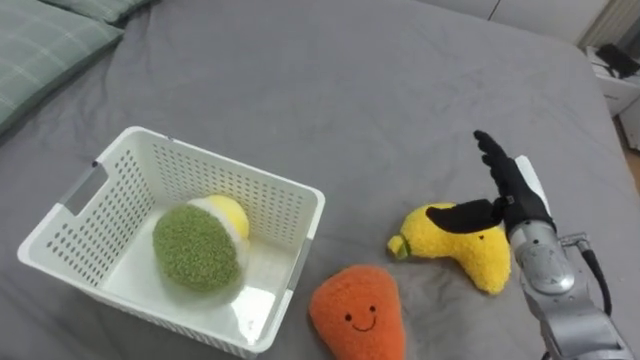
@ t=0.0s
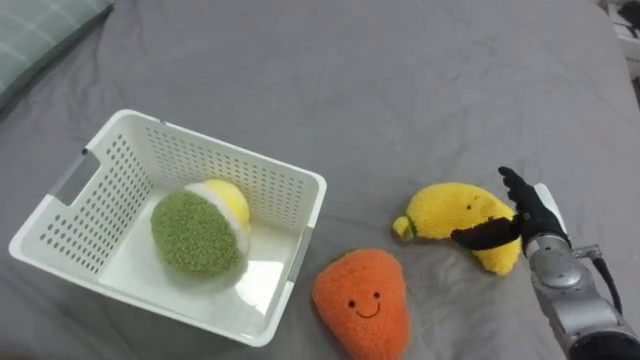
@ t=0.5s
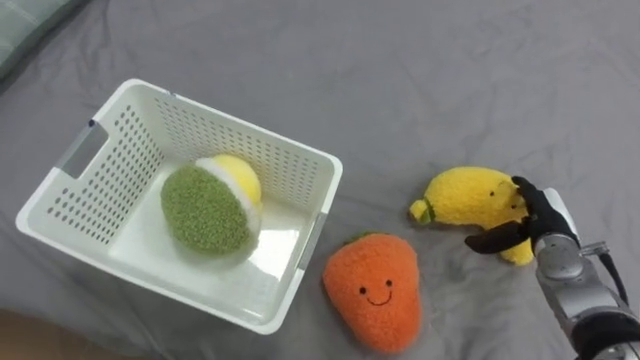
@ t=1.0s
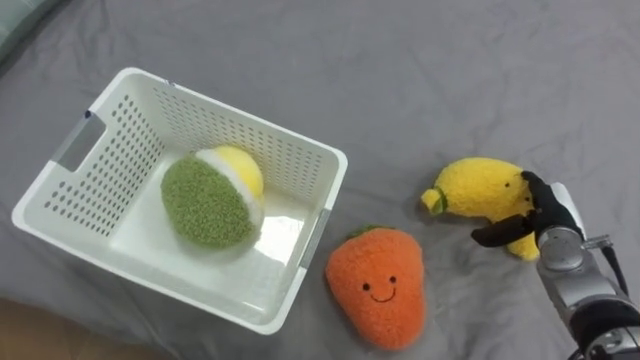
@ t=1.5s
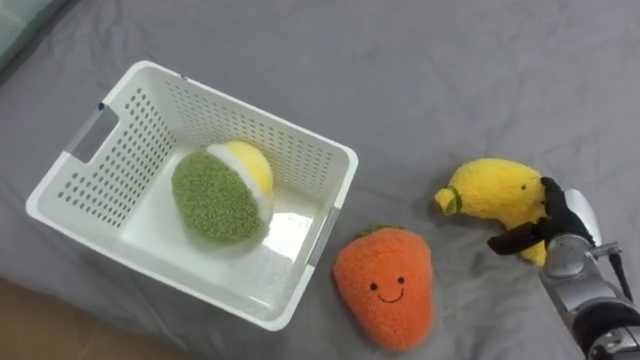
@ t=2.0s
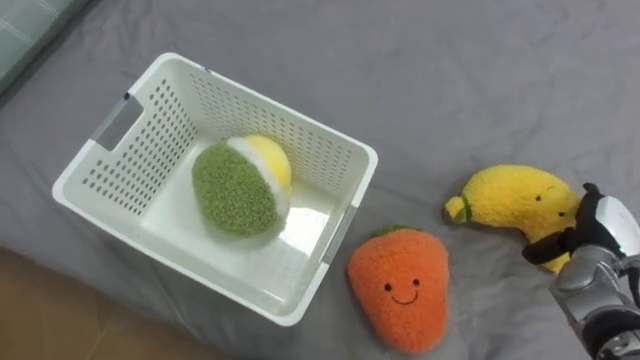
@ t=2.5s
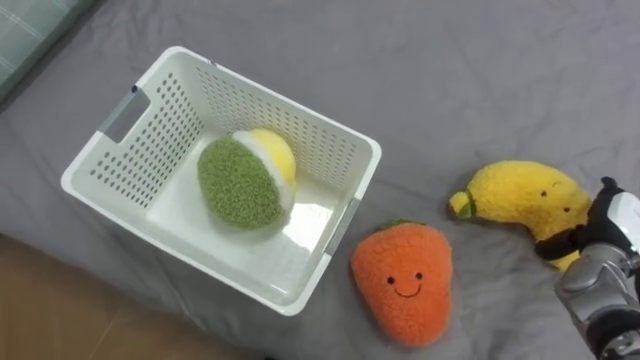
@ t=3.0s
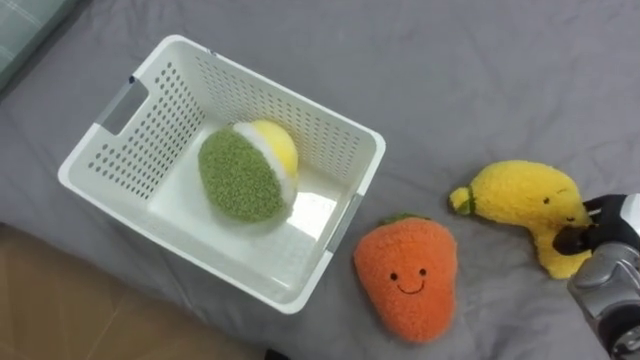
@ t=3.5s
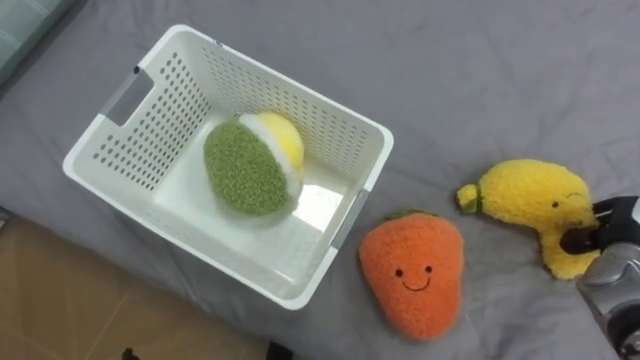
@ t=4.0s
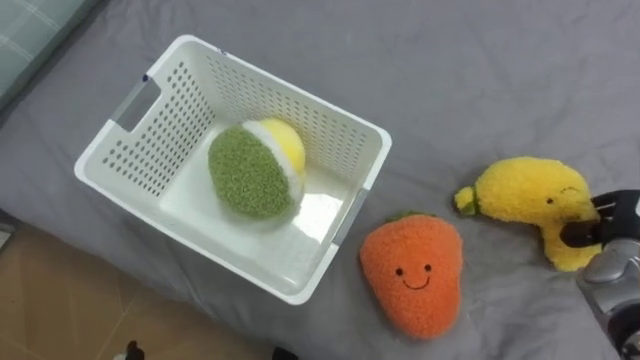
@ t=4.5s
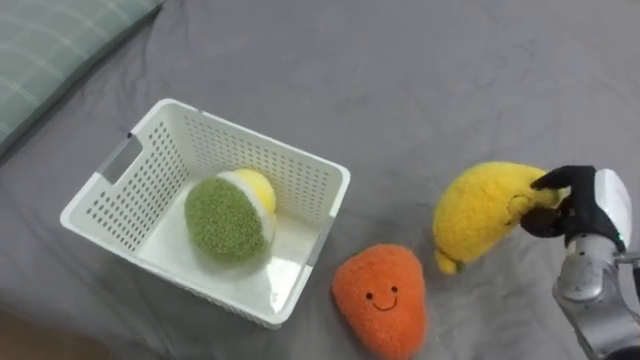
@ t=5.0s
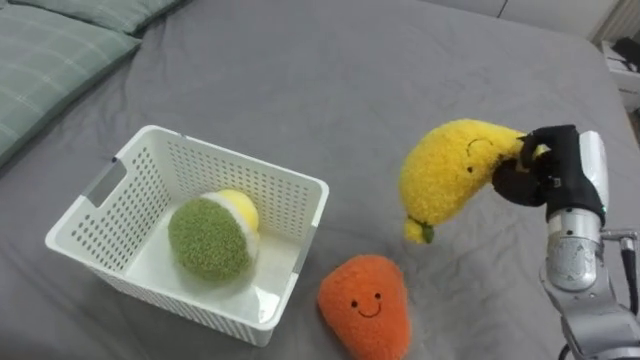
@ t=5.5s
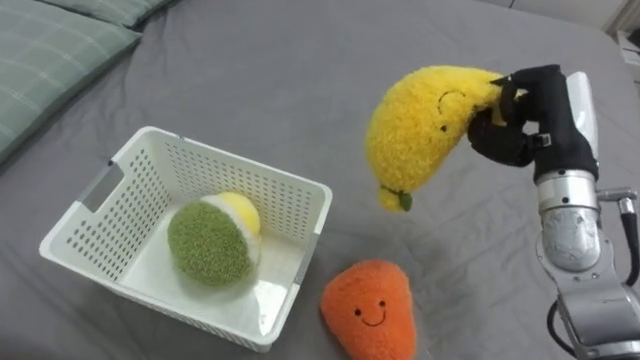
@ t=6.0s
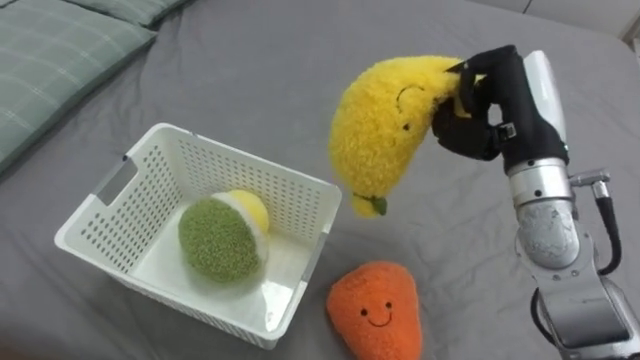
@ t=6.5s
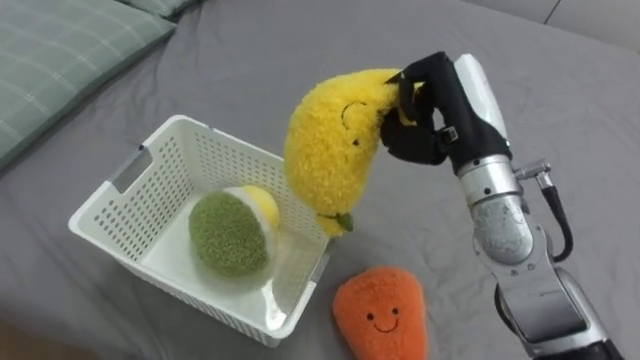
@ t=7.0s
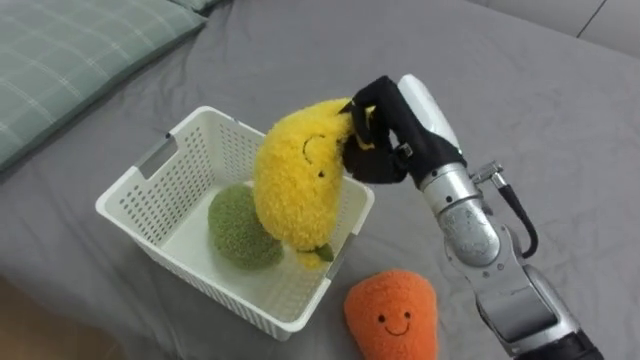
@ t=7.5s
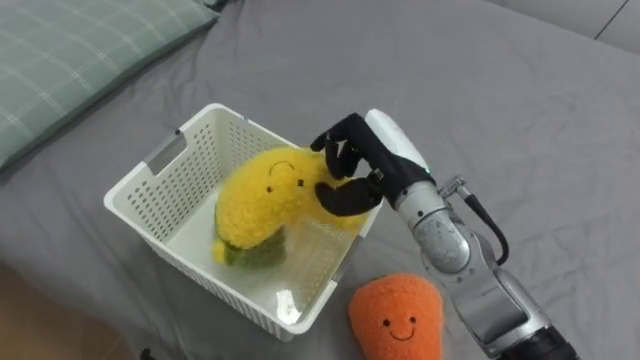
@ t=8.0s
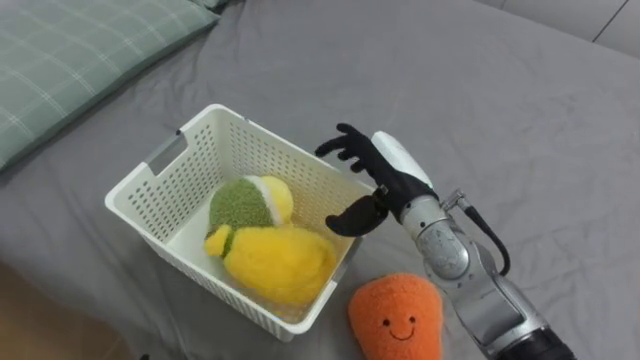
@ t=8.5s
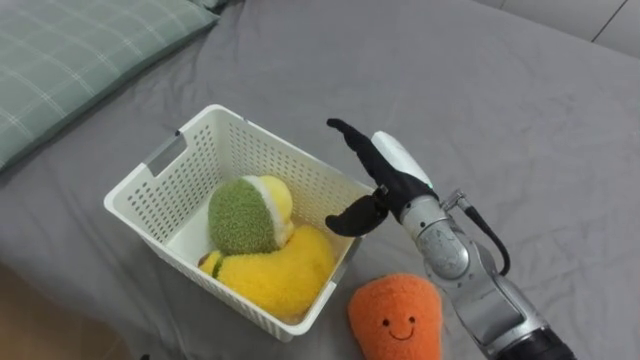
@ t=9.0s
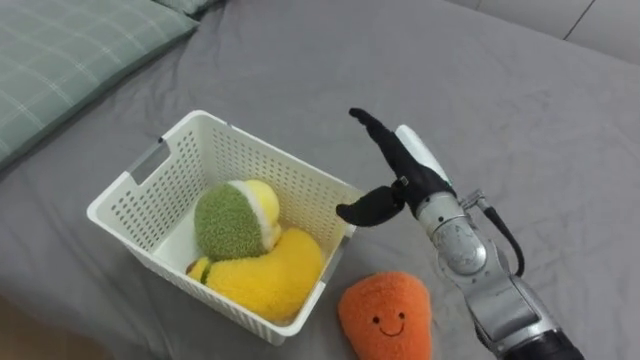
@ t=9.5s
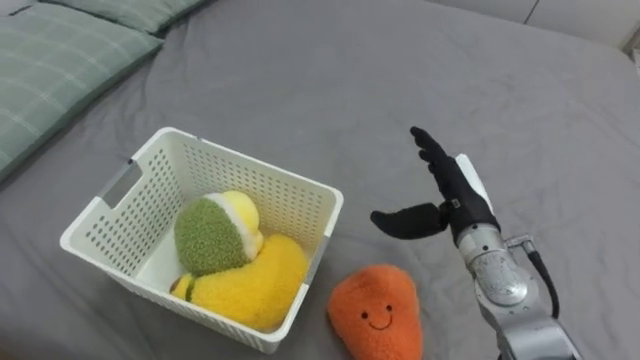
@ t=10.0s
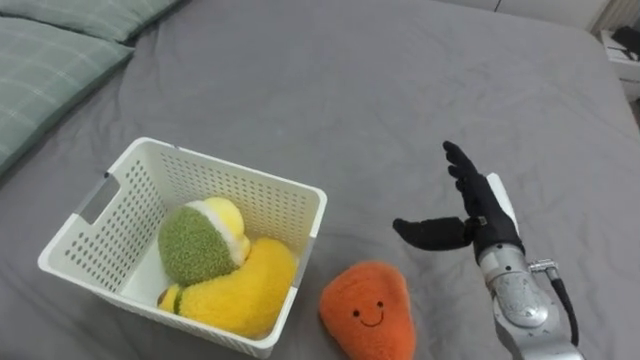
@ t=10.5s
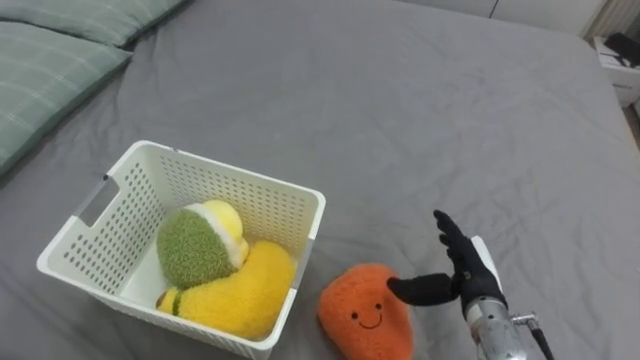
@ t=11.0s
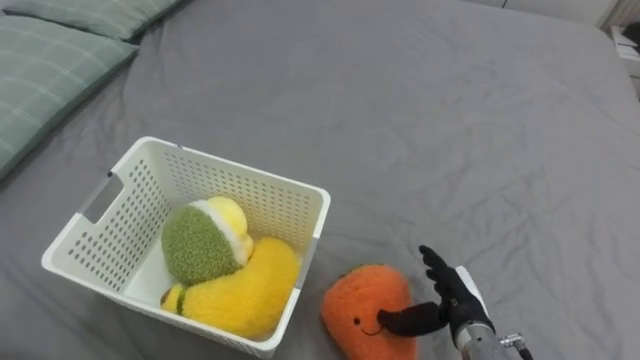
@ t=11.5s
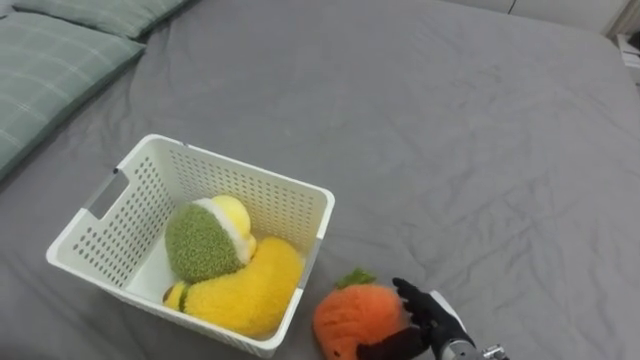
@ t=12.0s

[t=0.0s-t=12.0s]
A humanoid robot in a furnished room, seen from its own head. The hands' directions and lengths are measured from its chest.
Task of the whole recording: Put the toys on the bed into the basket on the left.
t=0.0s to t=2.0s: The right hand goes about 10 cm to the right and downward.
t=2.0s to t=4.0s: The right hand heads to the right, covering approximately 5 cm, and closes its fingers.
t=4.0s to t=6.0s: The right hand shifts some 20 cm upward and to the left.
t=6.0s to t=8.0s: The right hand is displaced to the left by about 20 cm.
t=8.0s to t=10.0s: The right hand moves to the right and downward, roughly 10 cm, and opens.
t=10.0s to t=12.0s: The right hand is displaced downward and backward by some 20 cm.

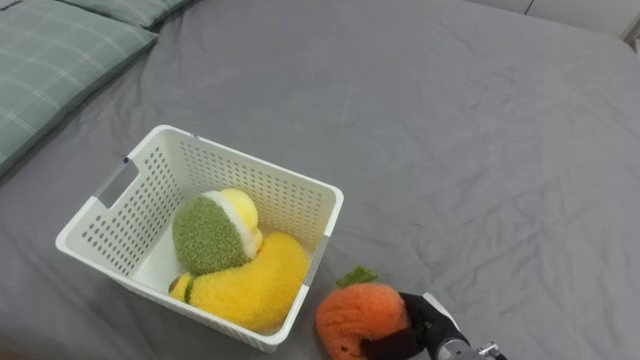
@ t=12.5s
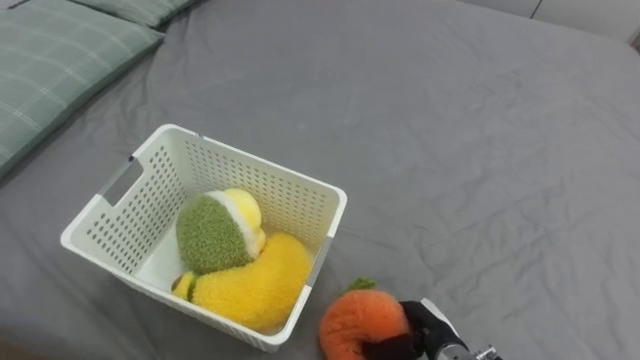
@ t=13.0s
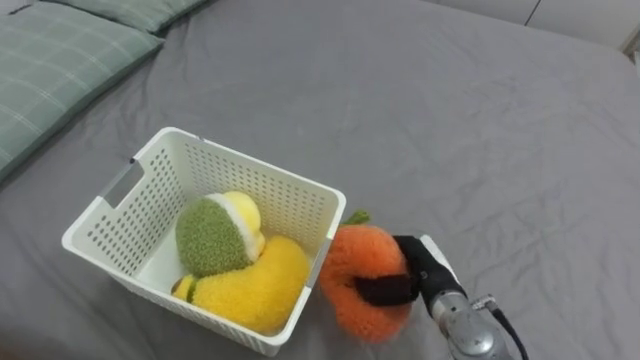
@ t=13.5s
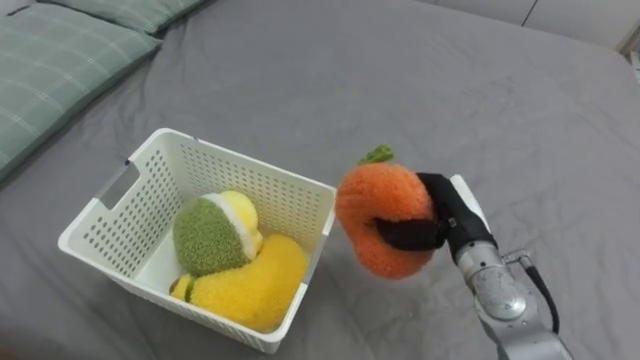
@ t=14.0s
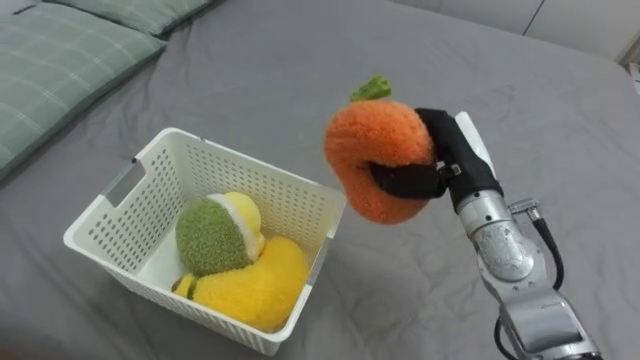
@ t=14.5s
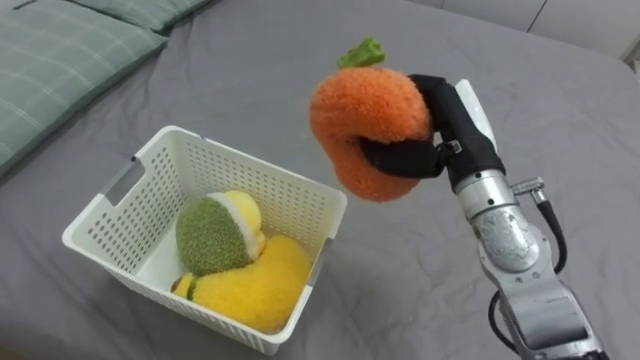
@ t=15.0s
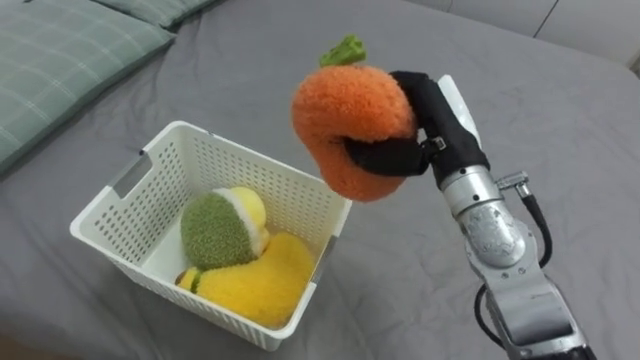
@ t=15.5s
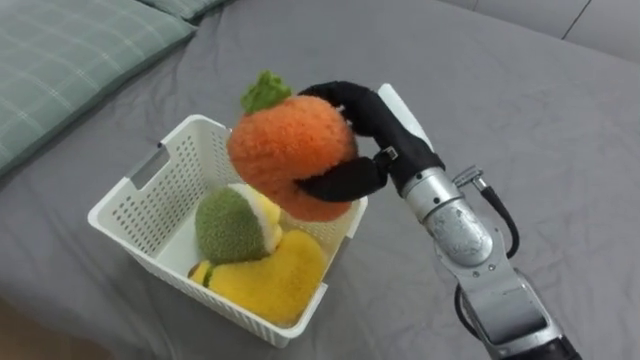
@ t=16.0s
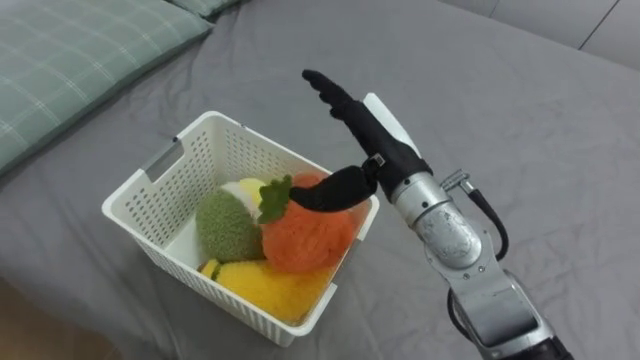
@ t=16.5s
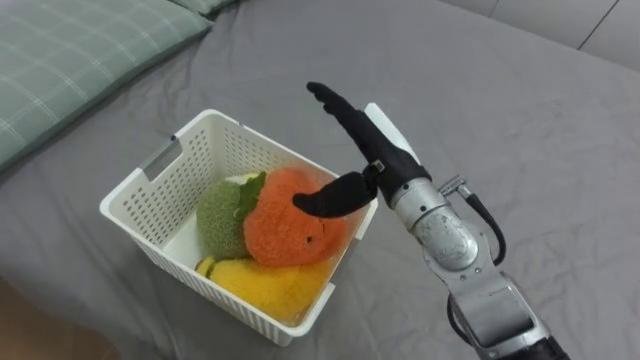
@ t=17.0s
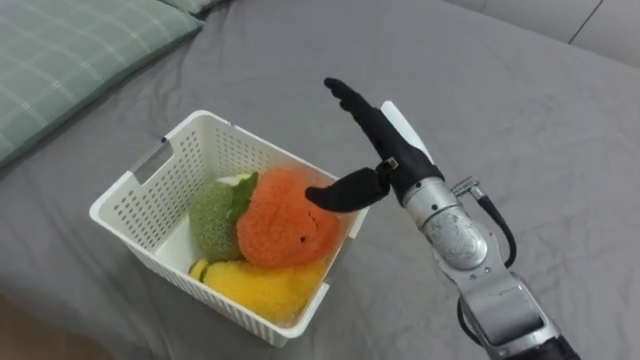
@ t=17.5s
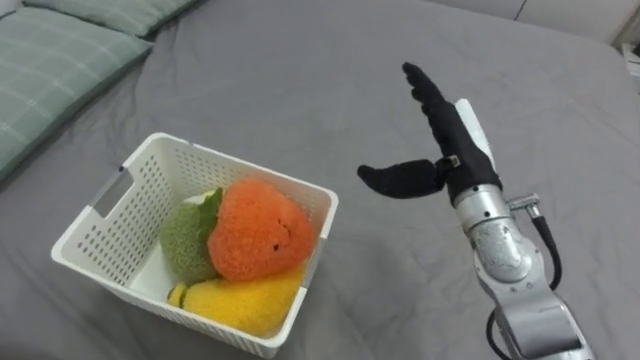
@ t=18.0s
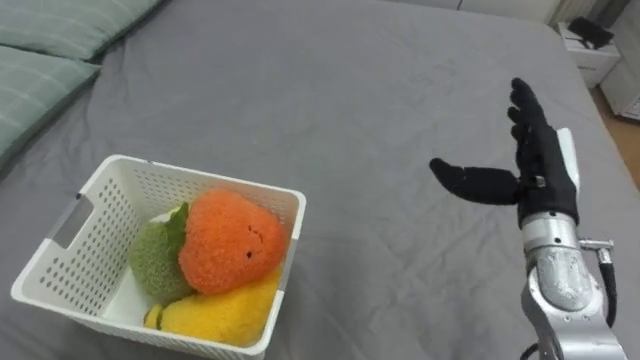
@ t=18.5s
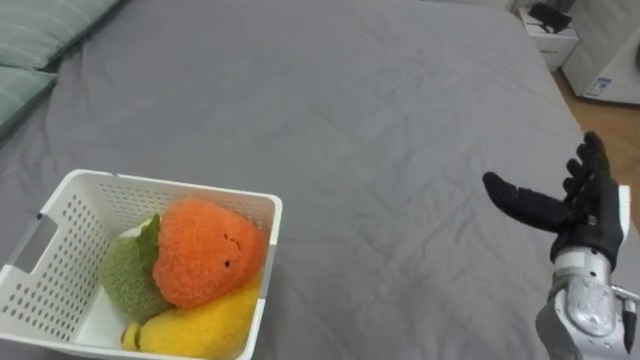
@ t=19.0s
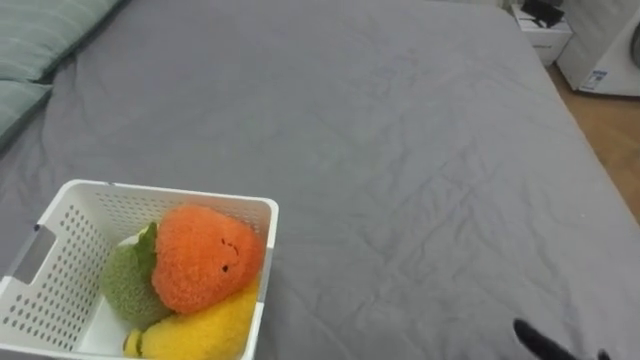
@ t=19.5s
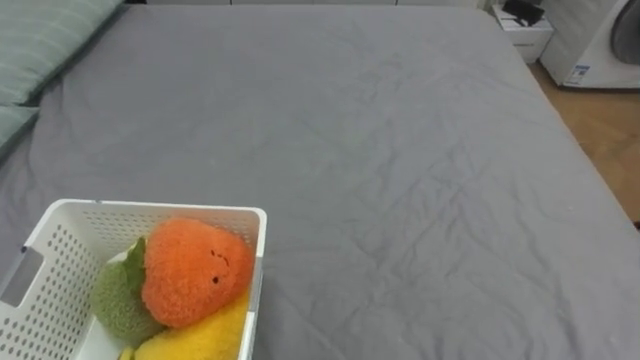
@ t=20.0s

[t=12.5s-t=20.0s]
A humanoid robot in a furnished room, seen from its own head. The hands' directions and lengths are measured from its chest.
Task of the whole recording: Put the toys on the bed into the basket on the left.
t=12.5s to t=14.5s: The right hand travels upward and forward by approximately 25 cm, and closes its fingers.
t=14.5s to t=16.5s: The right hand travels to the left by about 10 cm, and opens.
t=16.5s to t=18.0s: The right hand travels to the right by roughly 10 cm.
